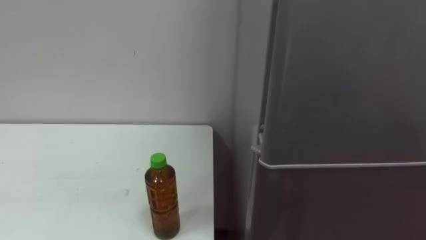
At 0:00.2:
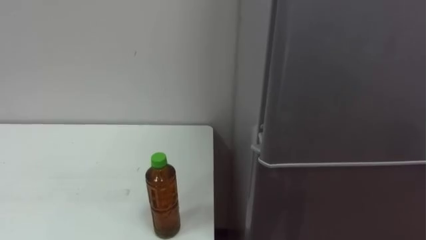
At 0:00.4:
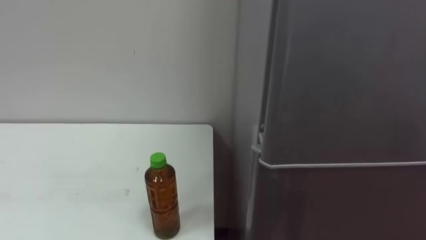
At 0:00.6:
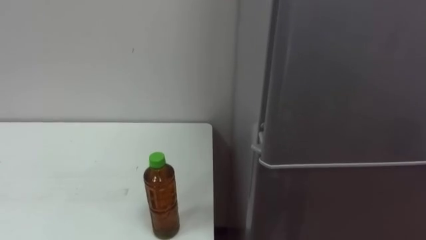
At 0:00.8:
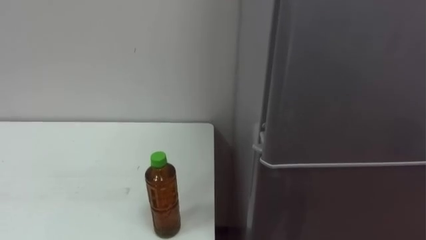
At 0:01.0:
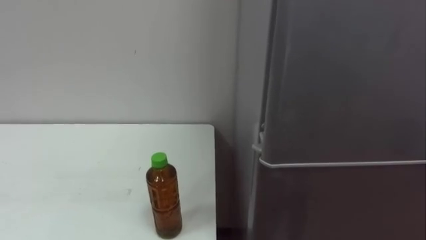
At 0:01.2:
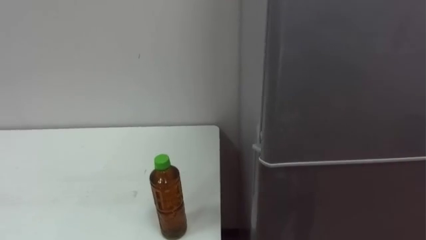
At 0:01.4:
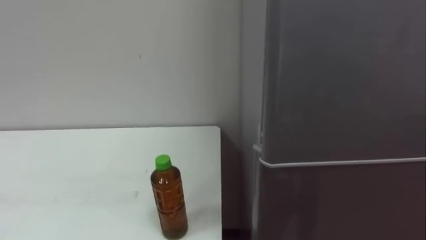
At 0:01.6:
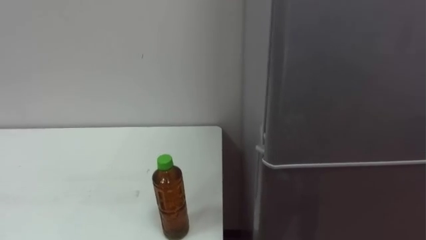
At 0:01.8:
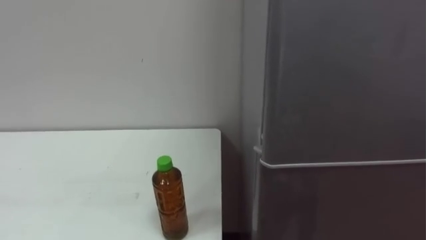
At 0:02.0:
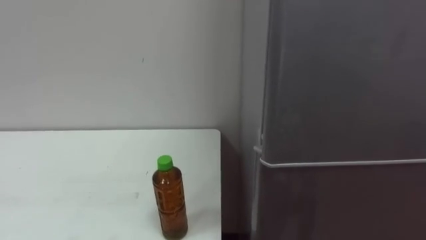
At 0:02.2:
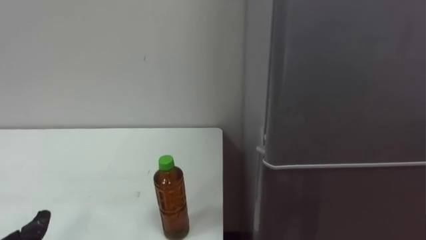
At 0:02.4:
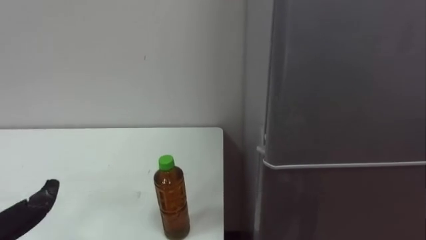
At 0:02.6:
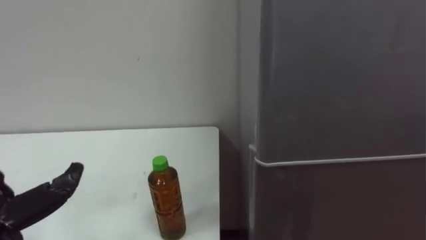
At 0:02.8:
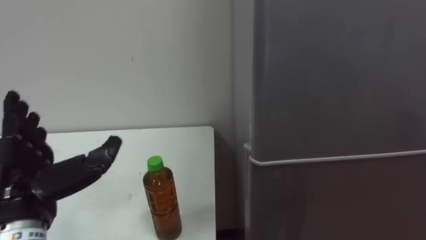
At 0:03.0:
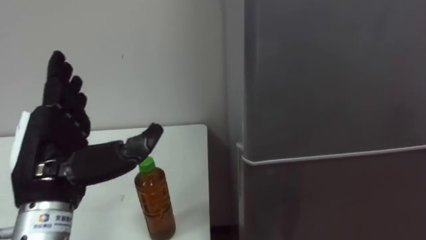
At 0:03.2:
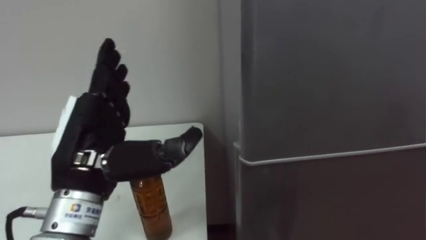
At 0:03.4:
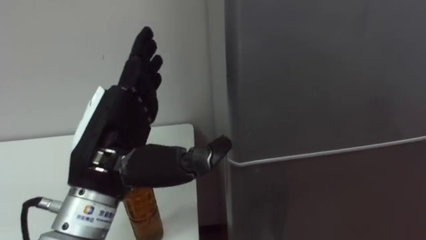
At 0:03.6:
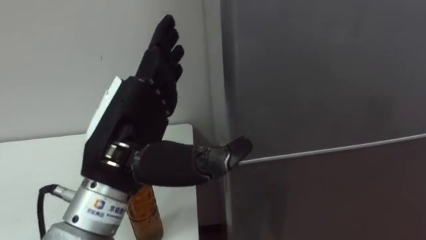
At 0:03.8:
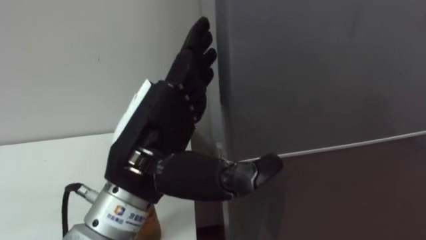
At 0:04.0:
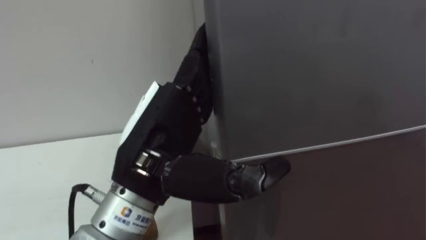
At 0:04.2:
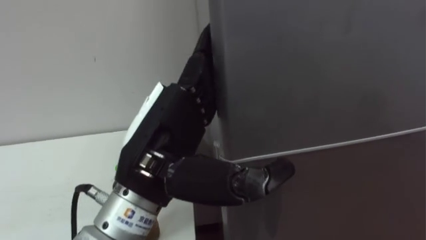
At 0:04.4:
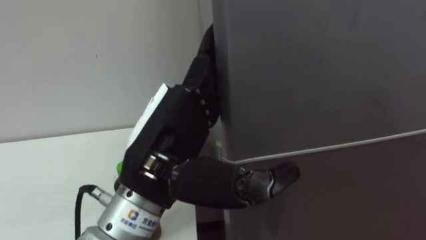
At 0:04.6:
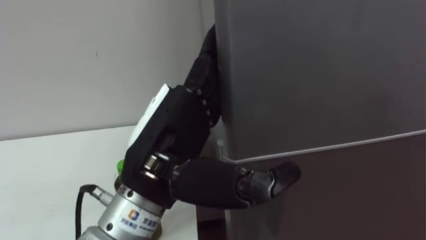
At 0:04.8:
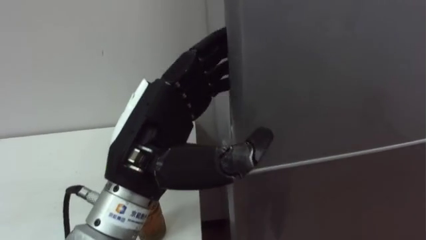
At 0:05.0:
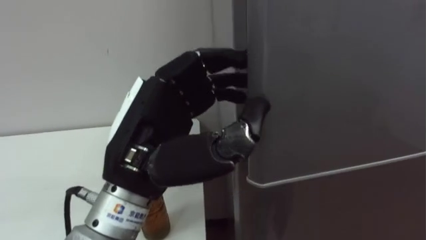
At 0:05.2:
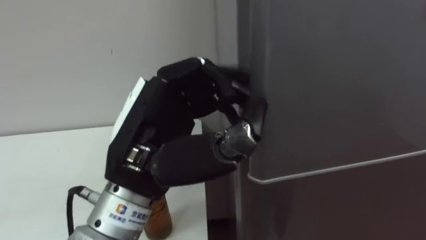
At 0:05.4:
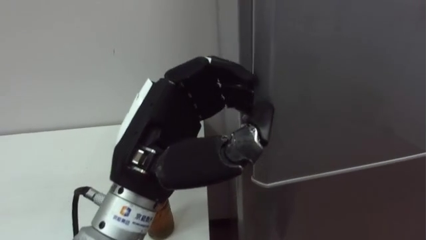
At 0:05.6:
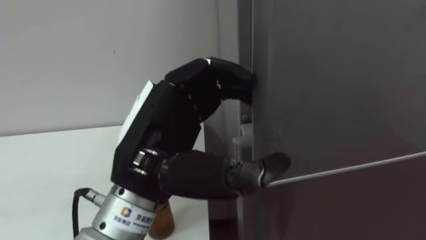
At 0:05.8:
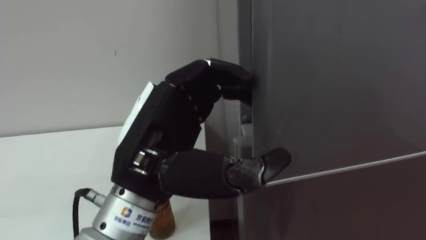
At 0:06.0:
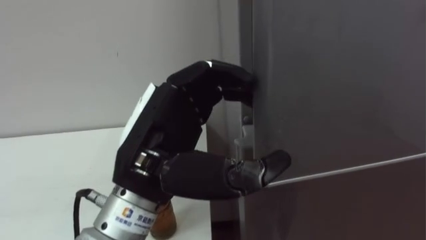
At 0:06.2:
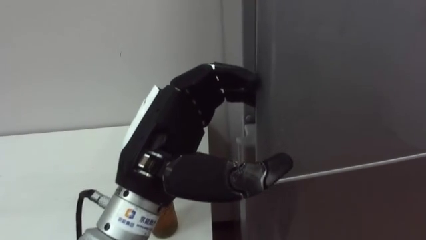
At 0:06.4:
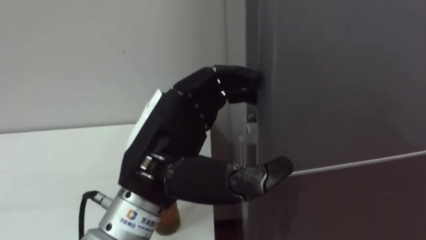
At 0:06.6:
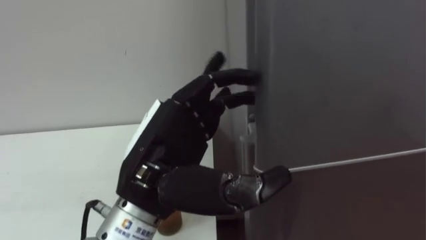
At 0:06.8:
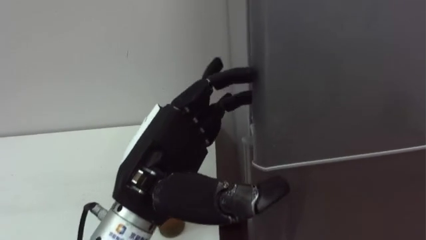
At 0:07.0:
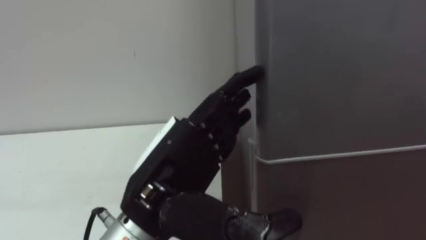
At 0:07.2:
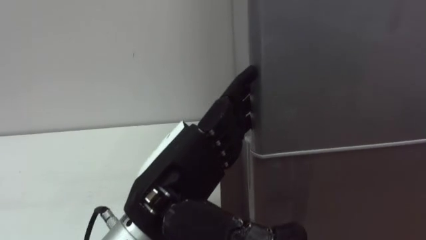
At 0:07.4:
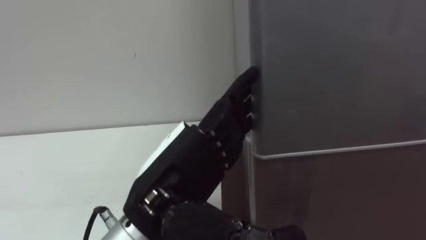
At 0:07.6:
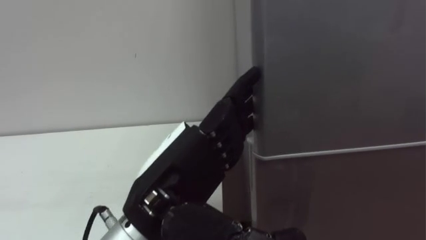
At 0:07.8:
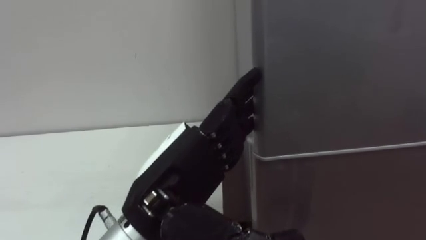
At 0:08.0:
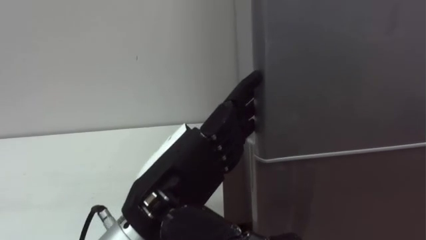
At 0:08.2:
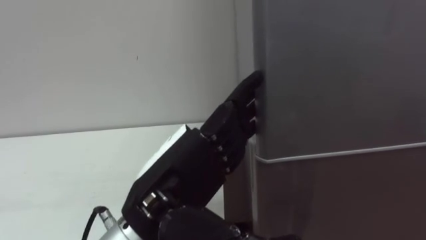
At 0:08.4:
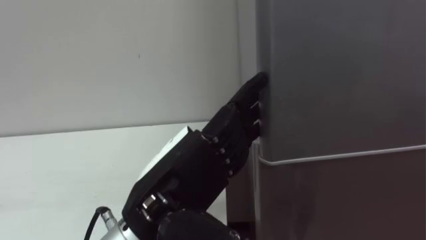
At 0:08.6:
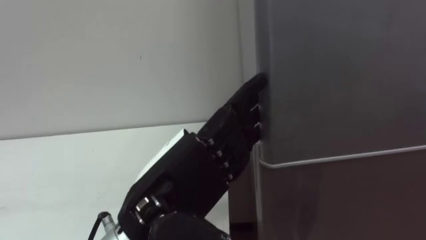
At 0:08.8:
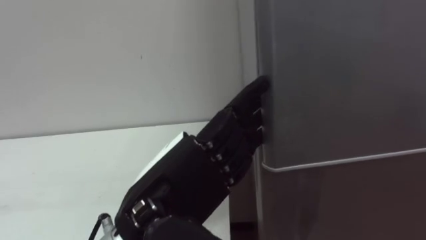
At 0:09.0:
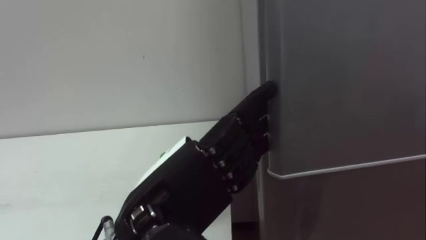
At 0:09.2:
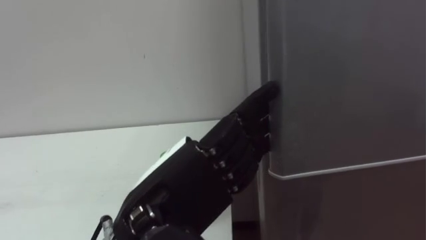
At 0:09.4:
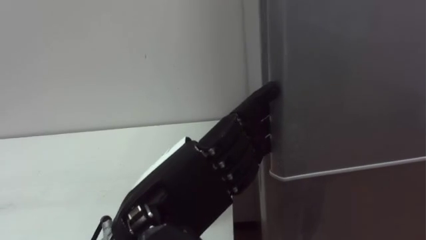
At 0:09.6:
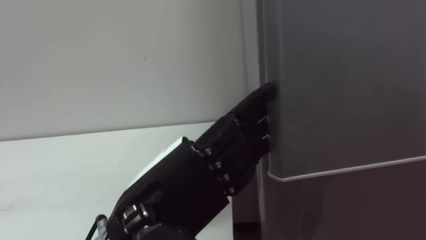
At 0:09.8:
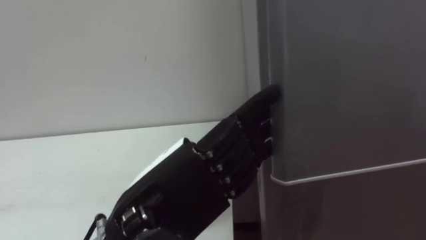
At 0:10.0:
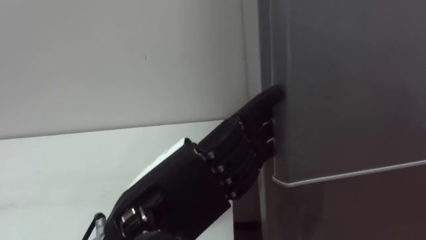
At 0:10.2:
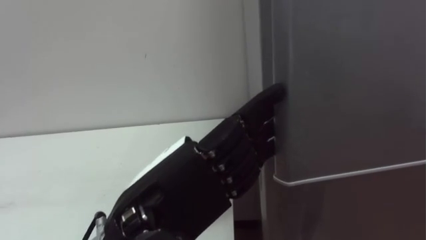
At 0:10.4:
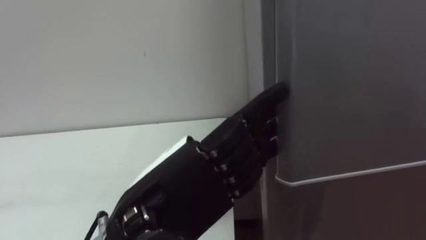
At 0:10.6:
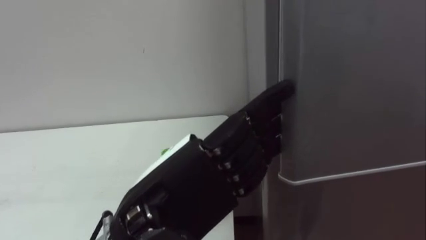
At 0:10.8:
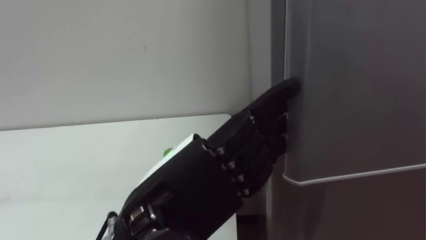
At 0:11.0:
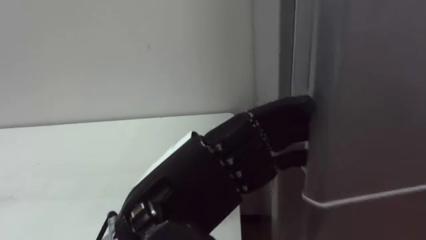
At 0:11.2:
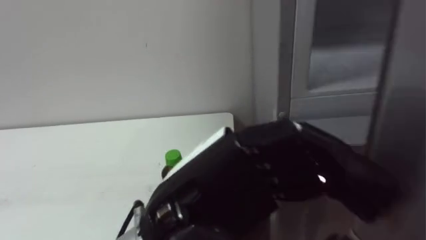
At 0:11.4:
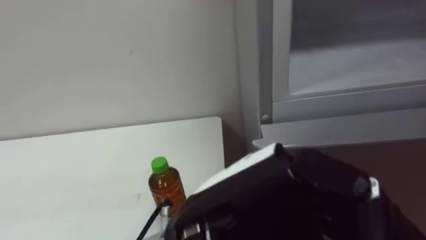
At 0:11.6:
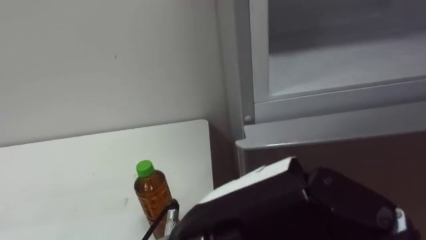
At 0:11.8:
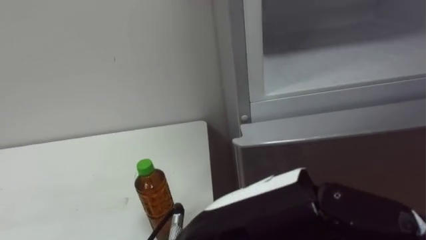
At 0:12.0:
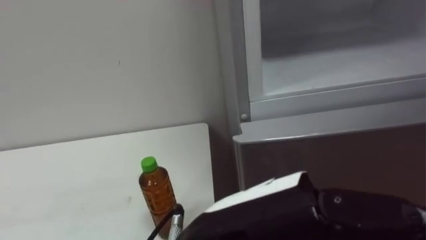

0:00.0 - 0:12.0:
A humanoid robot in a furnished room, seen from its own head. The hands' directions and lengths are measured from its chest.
Task of the whole recording: Open the upper refrigerator door, put the drink from the table into the refrigerator, and then close the refrigerator door.
0:03.0 - 0:04.4: The left hand is displaced to the right by approximately 15 cm.
0:04.4 - 0:06.0: The left hand closes, then reopens.
0:10.4 - 0:12.0: The left hand moves to the right and backward, approximately 10 cm, and closes, then opens again.

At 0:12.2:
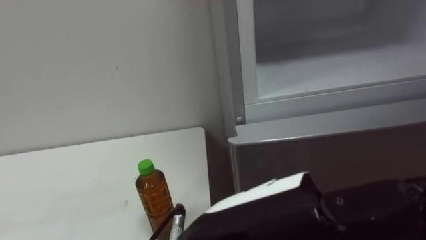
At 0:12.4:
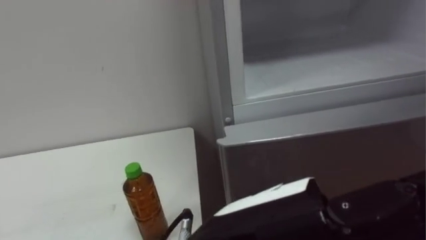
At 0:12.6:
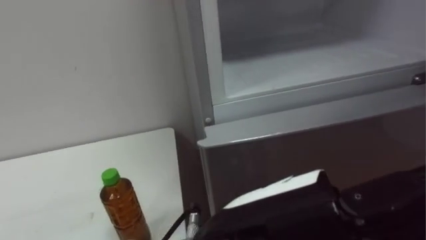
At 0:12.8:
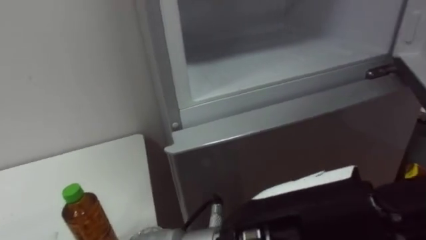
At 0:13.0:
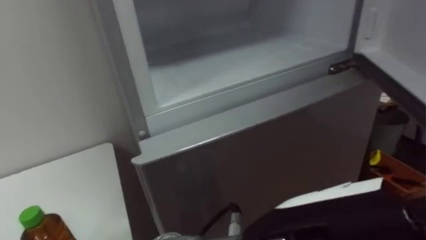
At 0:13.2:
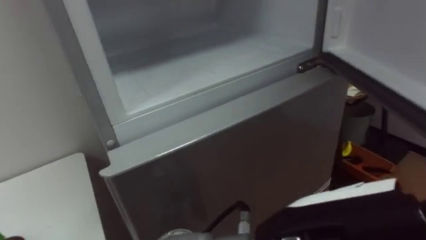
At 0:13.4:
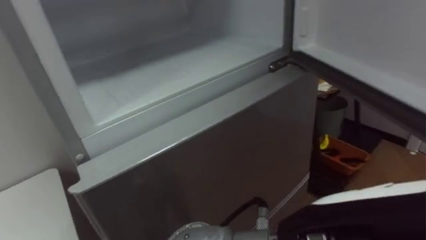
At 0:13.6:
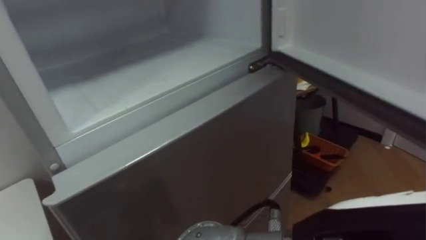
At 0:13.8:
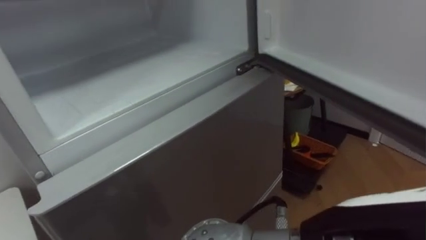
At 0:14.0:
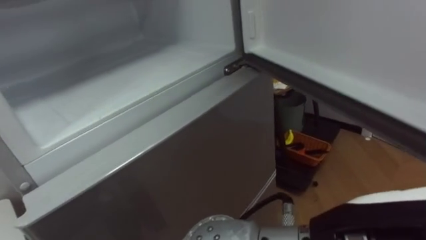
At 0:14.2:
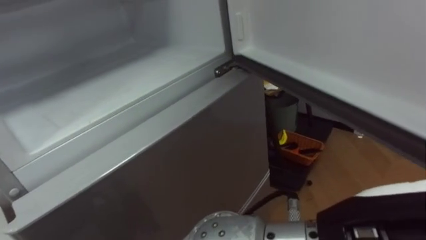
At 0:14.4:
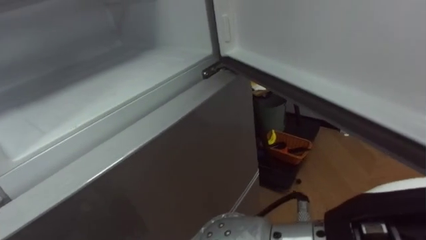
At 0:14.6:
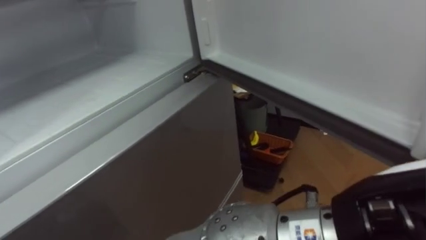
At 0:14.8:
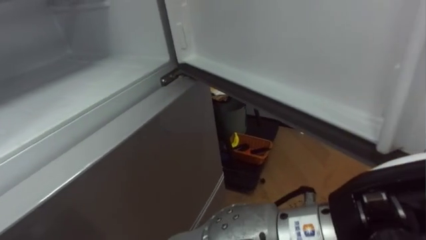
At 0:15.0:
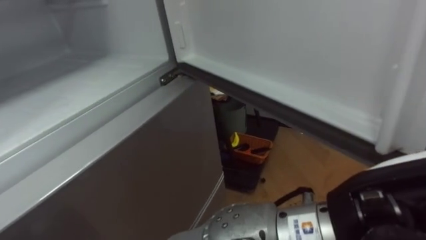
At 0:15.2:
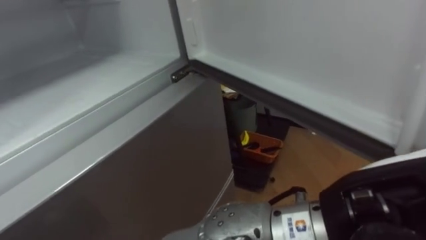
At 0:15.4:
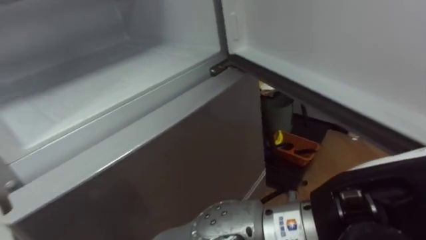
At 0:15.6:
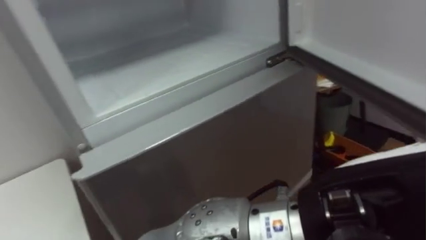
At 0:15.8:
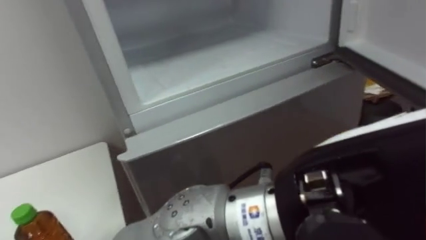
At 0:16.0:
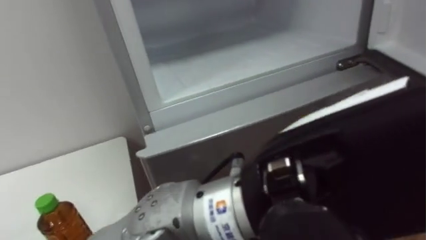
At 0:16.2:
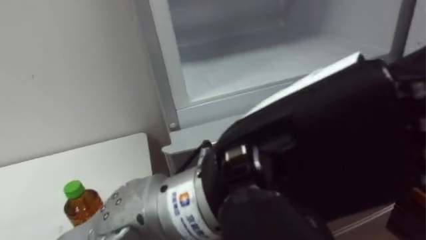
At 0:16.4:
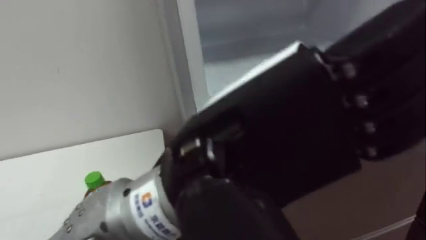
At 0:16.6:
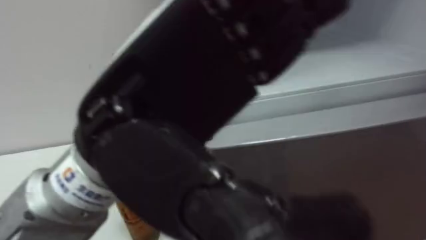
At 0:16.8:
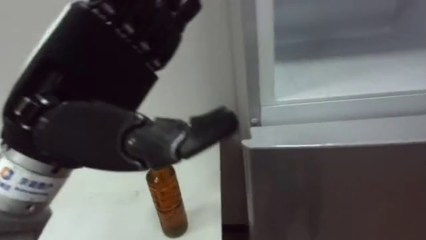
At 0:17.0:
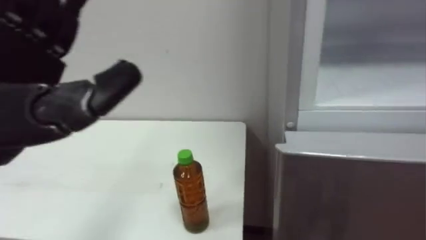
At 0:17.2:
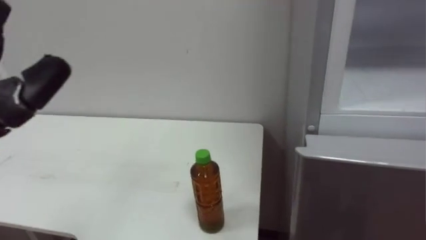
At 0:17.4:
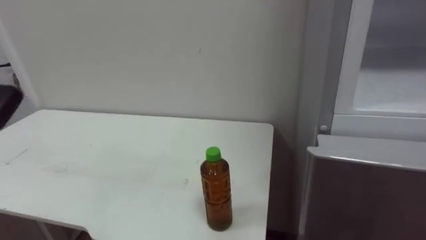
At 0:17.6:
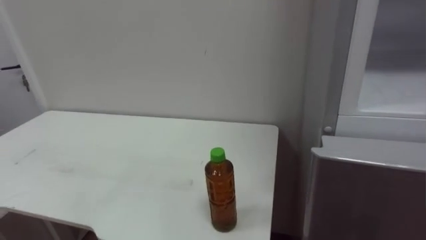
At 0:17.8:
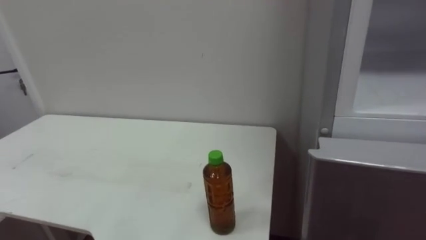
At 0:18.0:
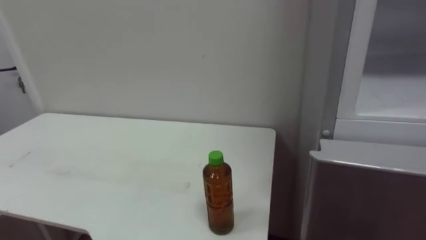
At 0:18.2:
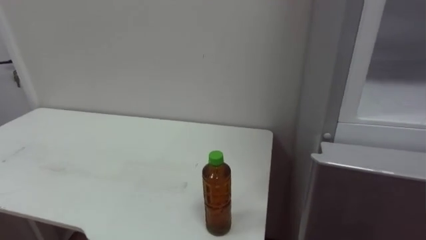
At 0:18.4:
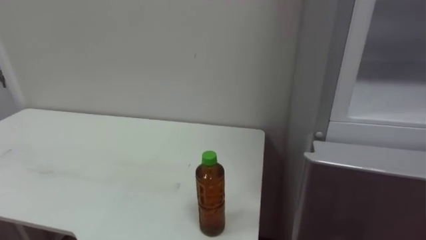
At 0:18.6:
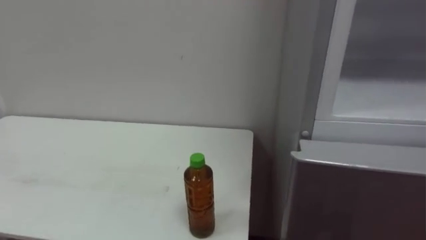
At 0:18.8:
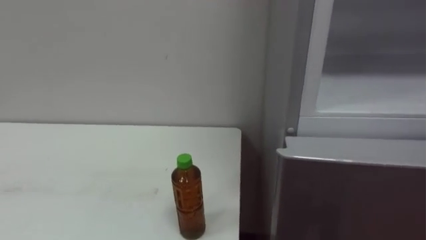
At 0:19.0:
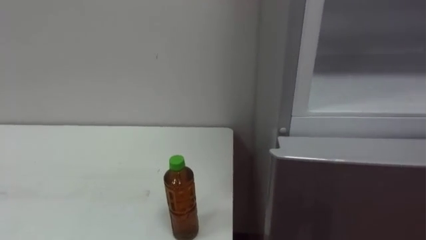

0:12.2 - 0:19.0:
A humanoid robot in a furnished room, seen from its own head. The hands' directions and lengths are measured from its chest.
Task of the whole recording: Open the upper refrigerator door, put the drink from the table into the refrigerator, and then close the refrigerator door.
0:12.2 - 0:13.6: The left hand heads to the right, covering some 10 cm.
0:15.0 - 0:16.2: The left hand heads to the left, covering about 10 cm.
